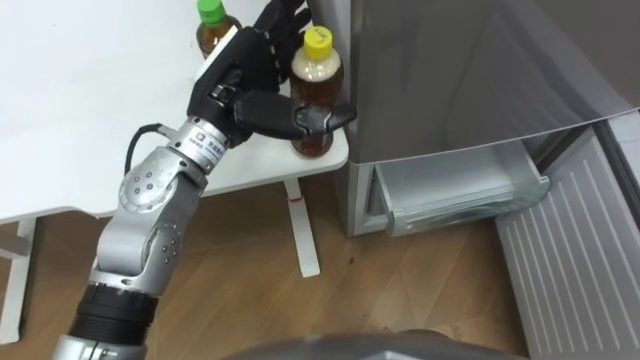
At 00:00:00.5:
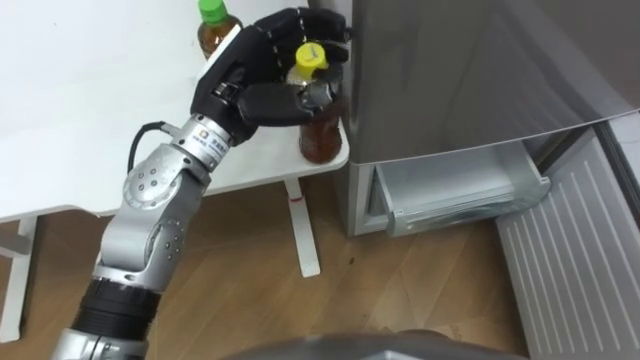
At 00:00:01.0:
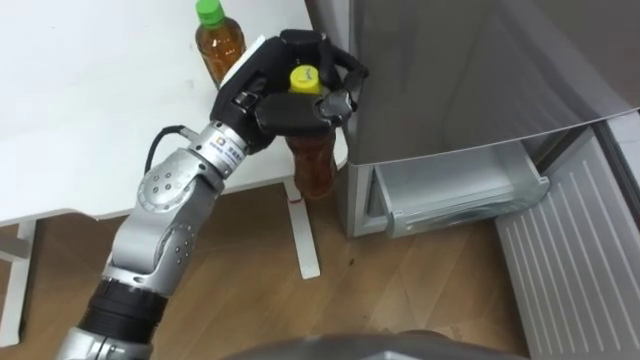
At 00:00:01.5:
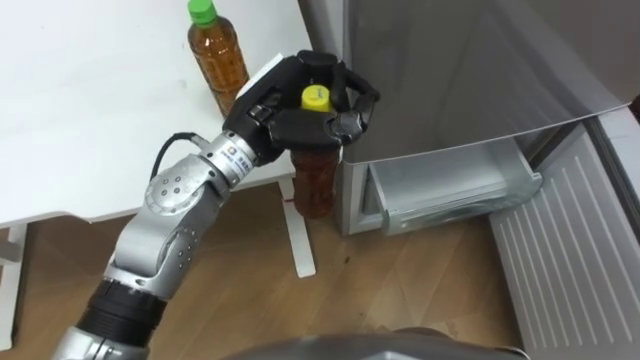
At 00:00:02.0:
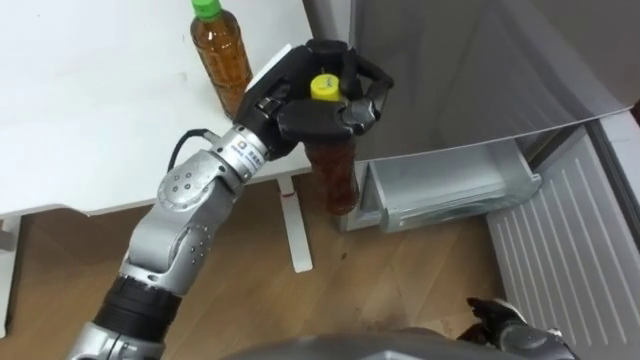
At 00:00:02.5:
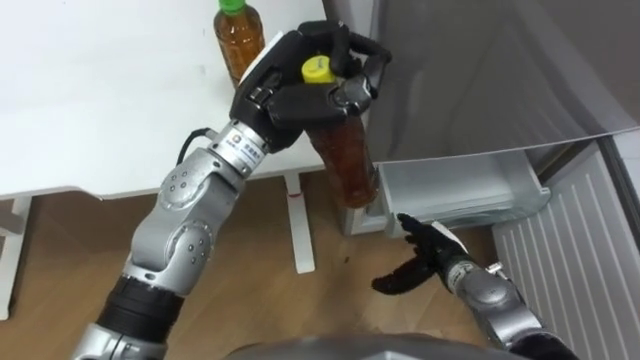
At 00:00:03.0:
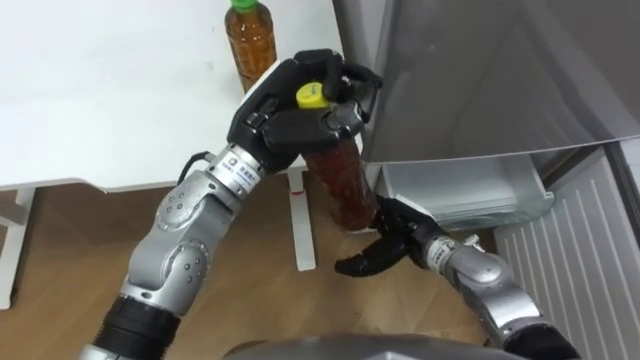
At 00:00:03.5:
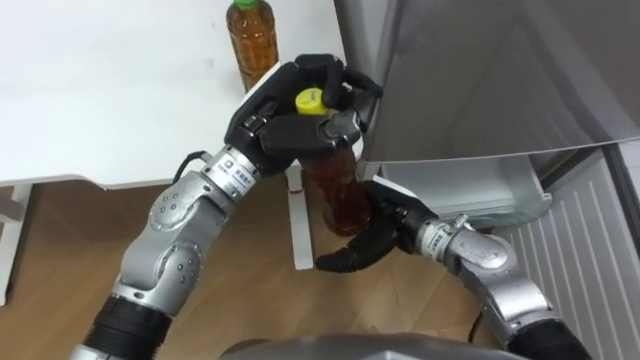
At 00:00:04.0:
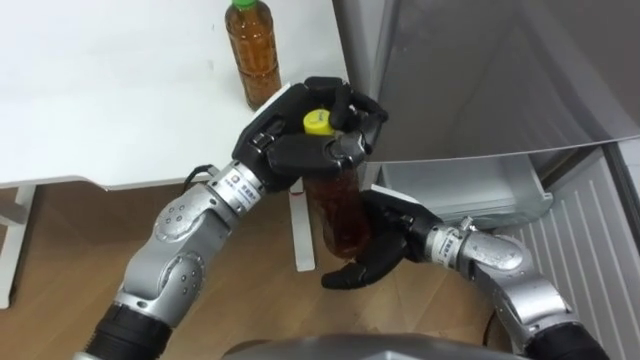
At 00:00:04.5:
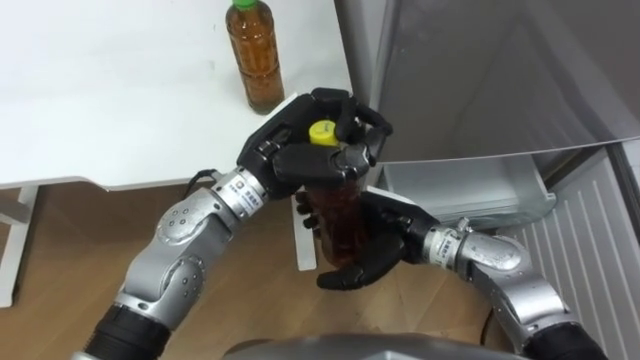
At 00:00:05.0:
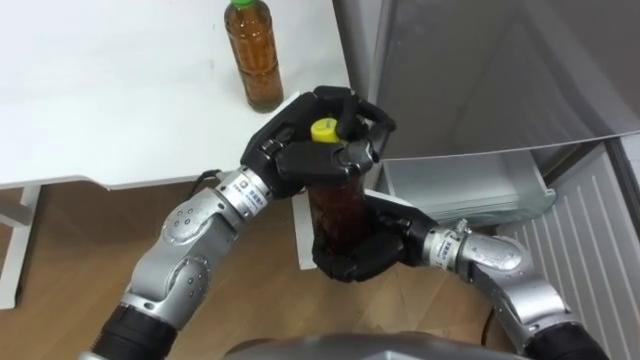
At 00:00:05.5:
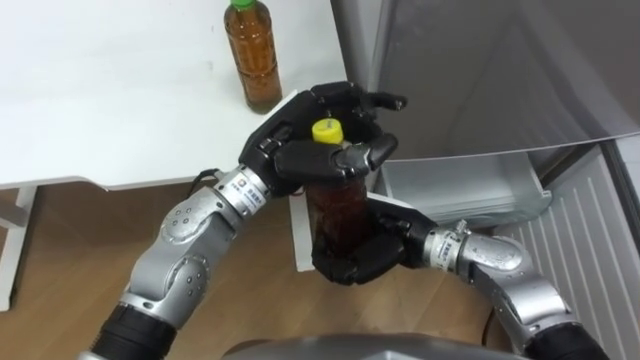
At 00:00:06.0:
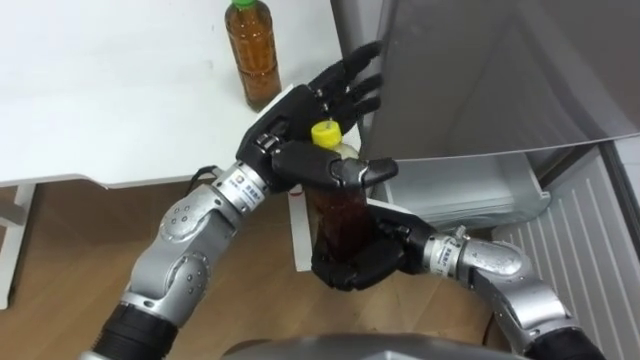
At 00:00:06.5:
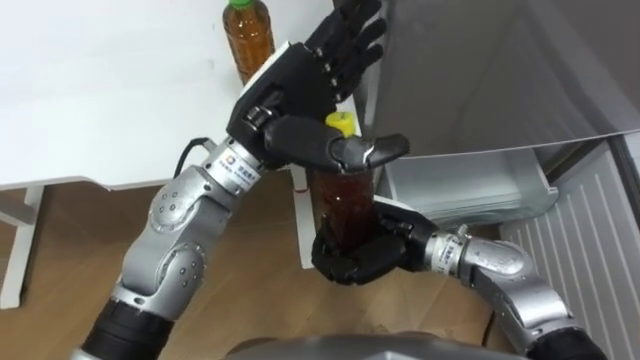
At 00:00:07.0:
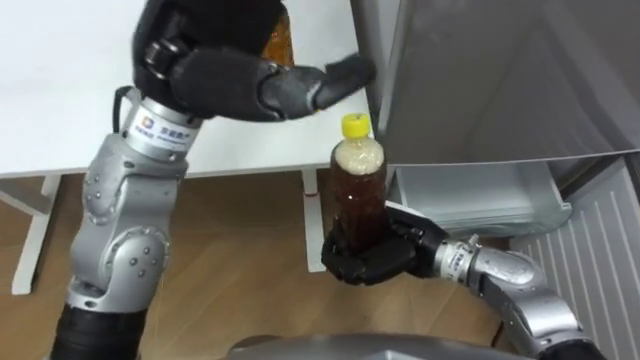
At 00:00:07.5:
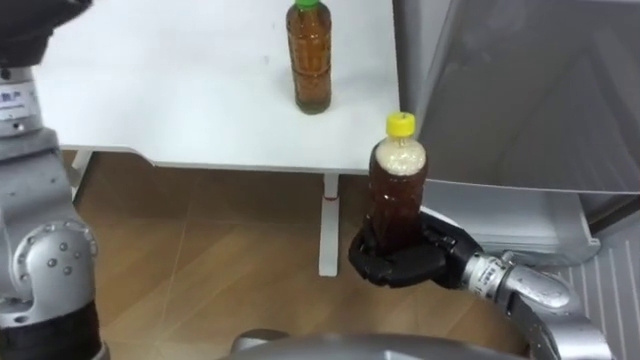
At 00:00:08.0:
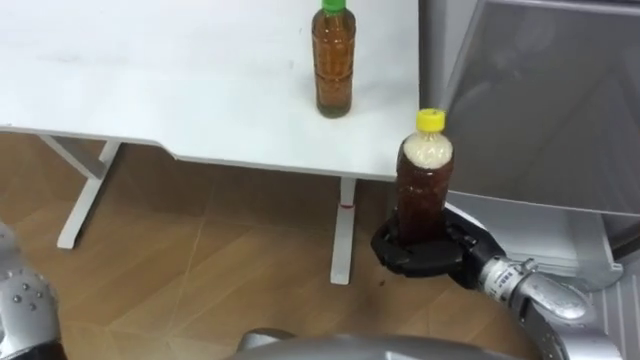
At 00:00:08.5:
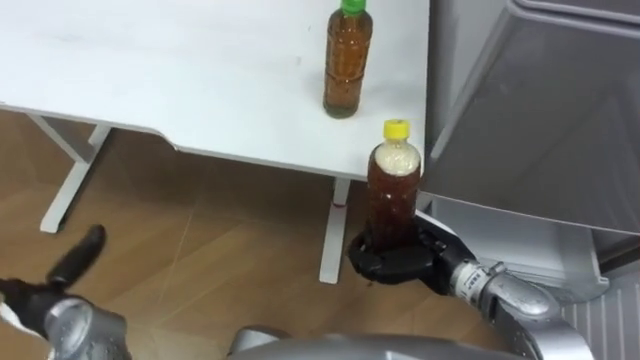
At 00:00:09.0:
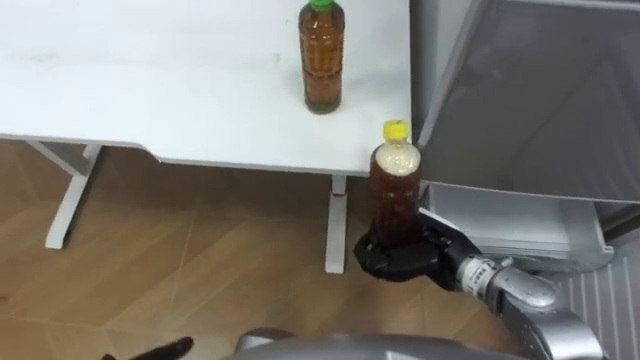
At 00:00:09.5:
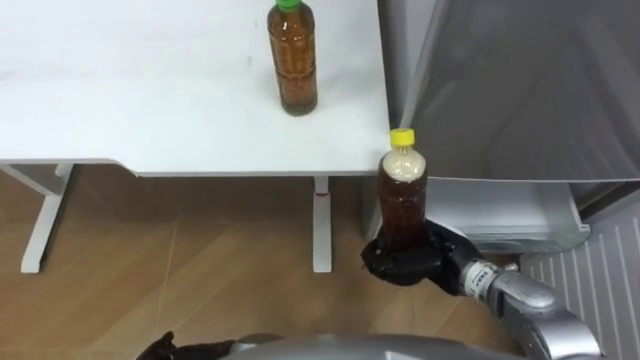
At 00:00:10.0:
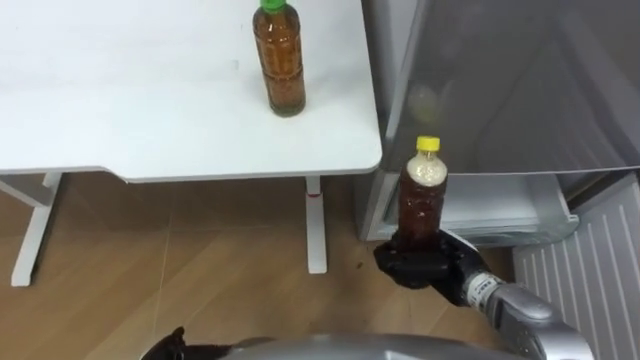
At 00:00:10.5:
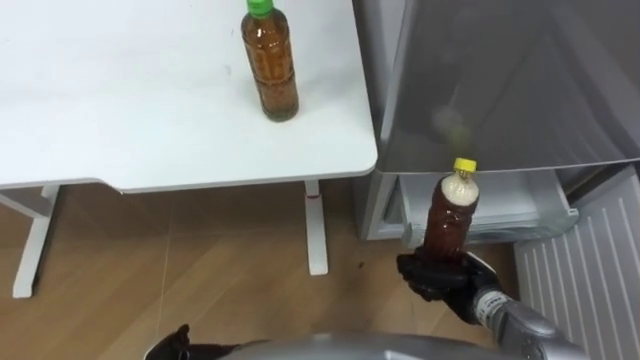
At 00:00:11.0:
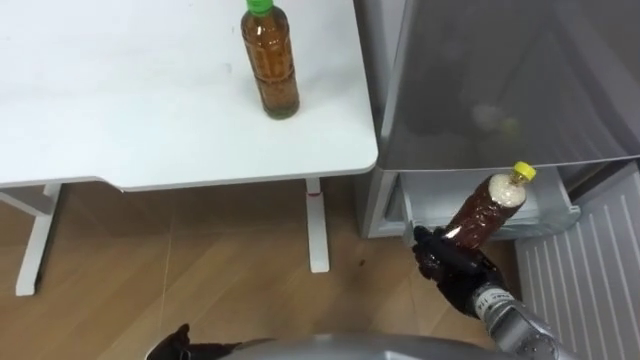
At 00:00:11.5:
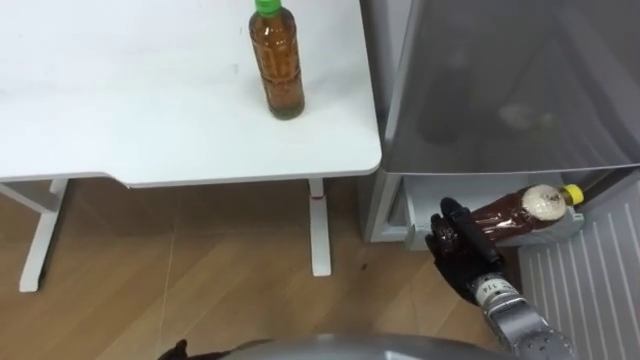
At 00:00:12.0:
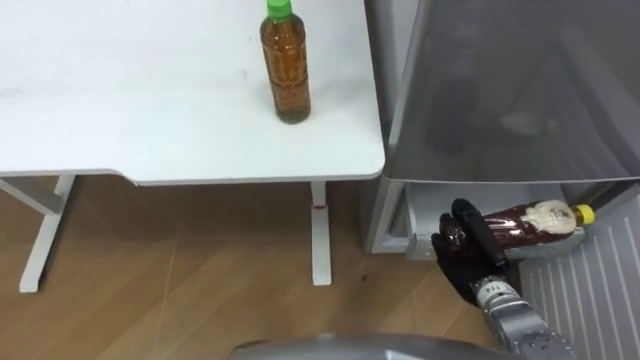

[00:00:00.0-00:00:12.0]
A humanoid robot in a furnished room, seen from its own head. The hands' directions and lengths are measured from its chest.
Task of the whole recording: Place the drink on the table on the bottom shelf of the refrigerator, then close the drawer and the refrigerator door.
00:00:00.0 to 00:00:02.0: The left hand is displaced to the right by some 5 cm, and closes.
00:00:02.0 to 00:00:04.0: The right hand goes about 25 cm to the left, upward and forward.
00:00:04.0 to 00:00:06.0: The right hand closes its fingers, while the left hand opens its fingers.
00:00:06.0 to 00:00:08.0: The right hand moves to the right, about 10 cm.
00:00:08.0 to 00:00:10.0: The right hand moves downward, approximately 5 cm.
00:00:10.0 to 00:00:12.0: The right hand moves to the right, roughly 5 cm.

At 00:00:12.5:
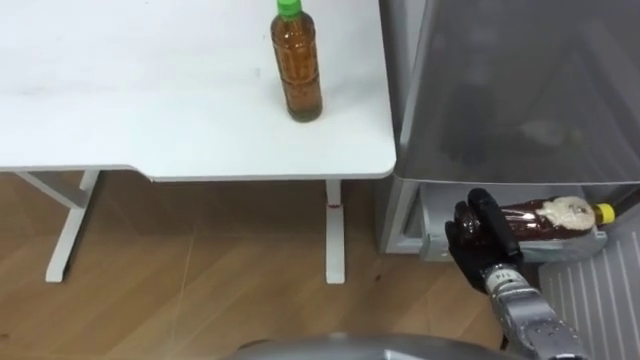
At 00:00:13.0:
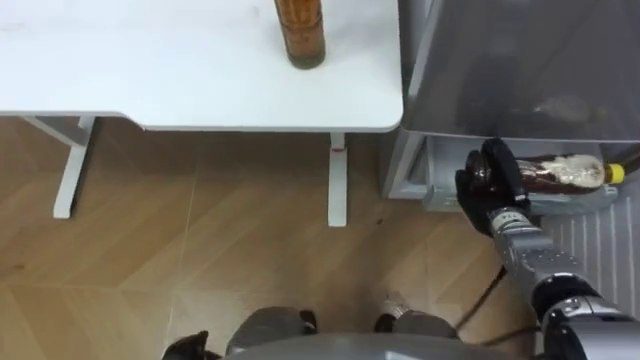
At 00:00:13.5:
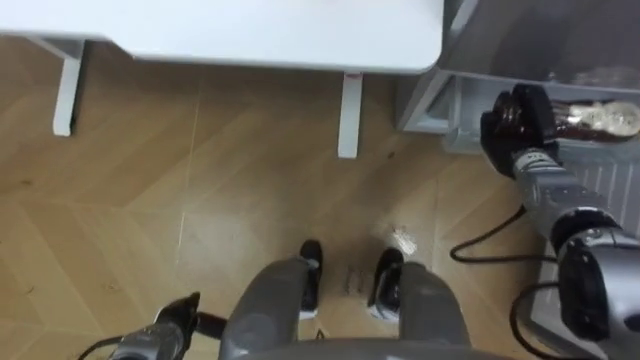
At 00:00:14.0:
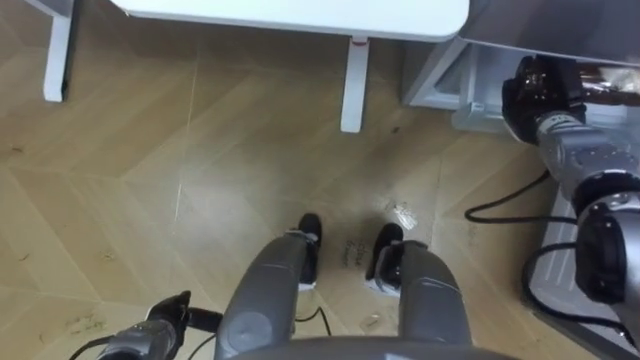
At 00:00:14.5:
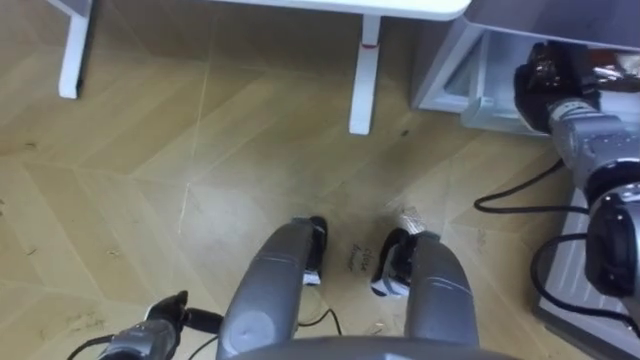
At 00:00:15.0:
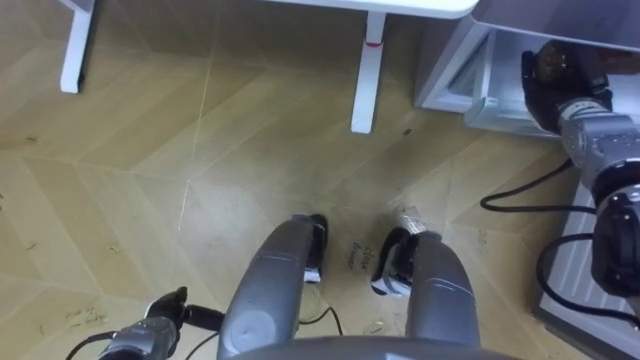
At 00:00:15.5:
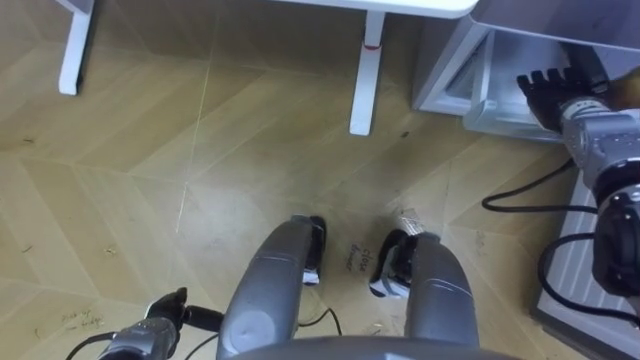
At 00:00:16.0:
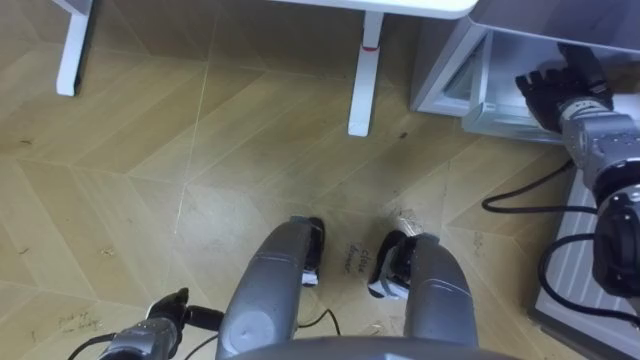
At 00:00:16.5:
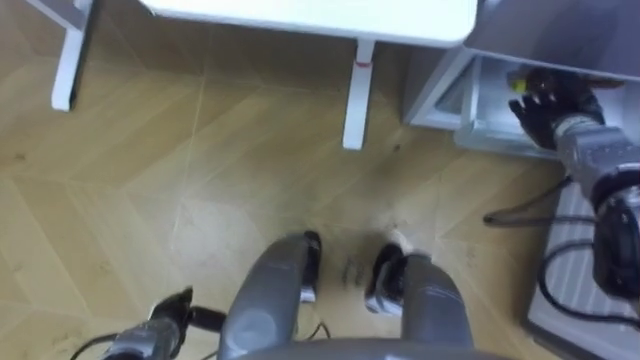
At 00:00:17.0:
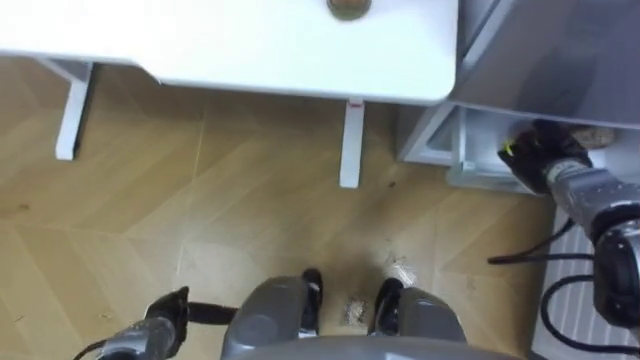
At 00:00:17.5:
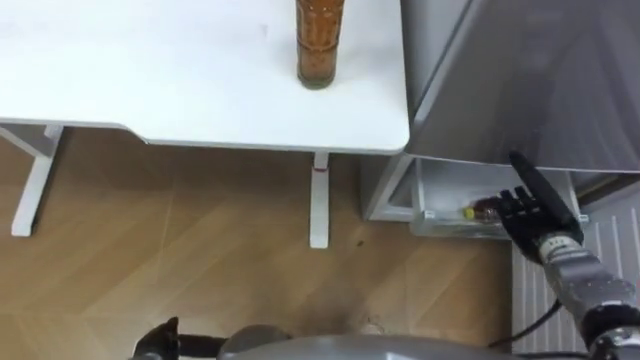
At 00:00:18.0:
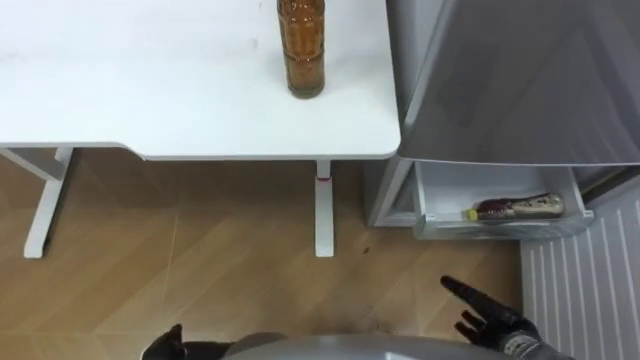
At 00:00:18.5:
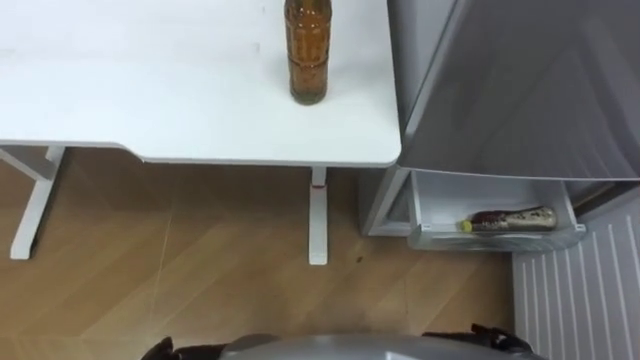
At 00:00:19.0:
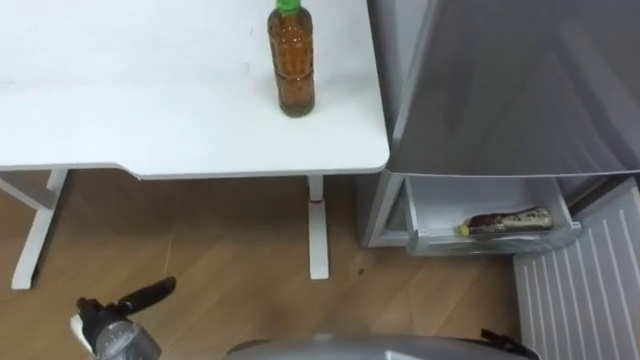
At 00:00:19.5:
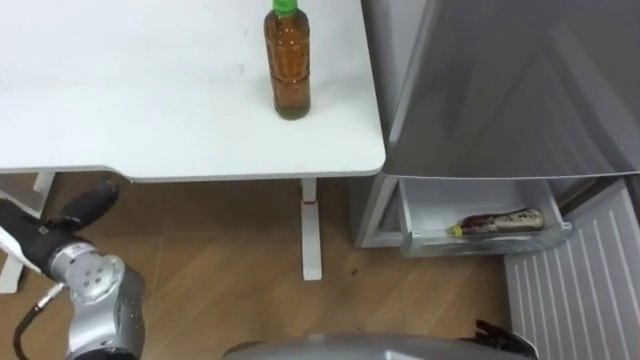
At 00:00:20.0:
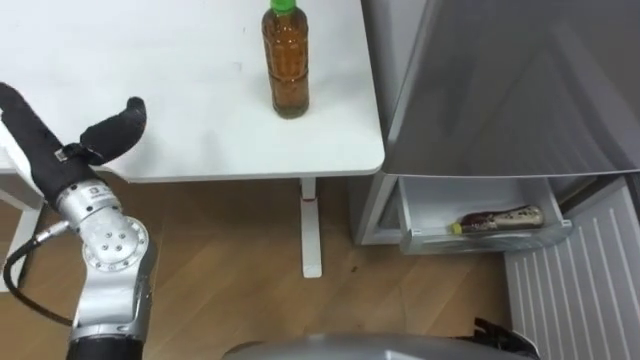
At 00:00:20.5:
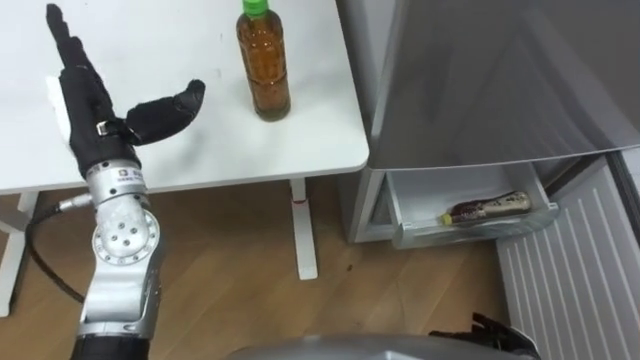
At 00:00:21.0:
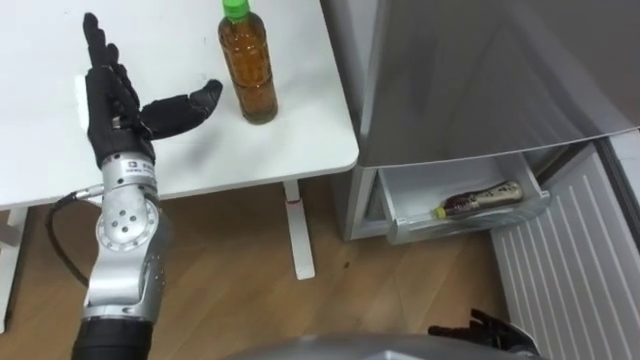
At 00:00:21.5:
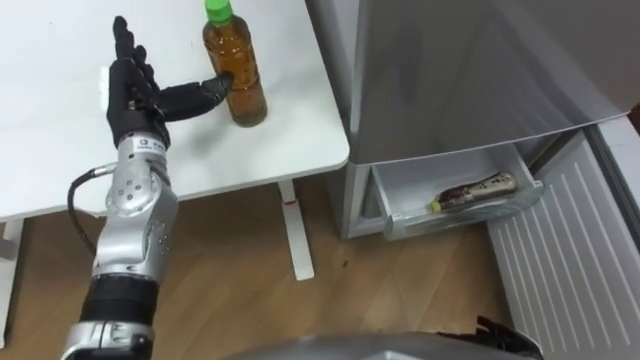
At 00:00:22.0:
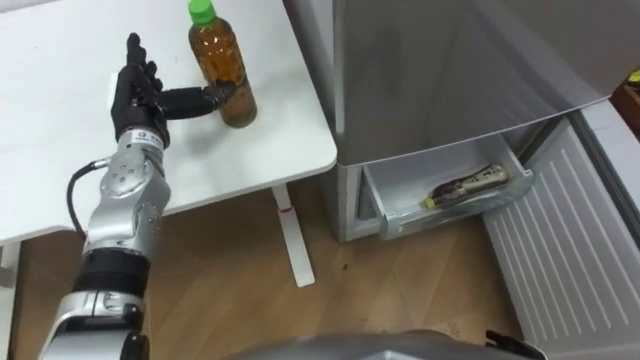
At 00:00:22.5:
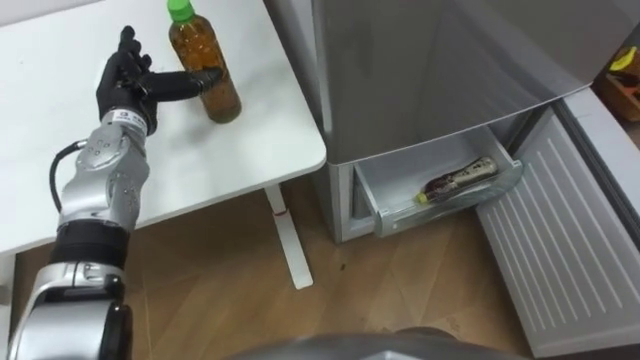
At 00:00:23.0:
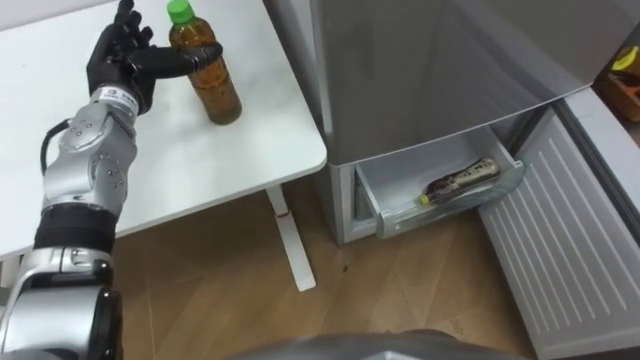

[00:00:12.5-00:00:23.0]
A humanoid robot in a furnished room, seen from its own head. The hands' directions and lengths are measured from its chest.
Task of the whole recording: Place the drink on the table on the bottom shelf of the refrigerator, then close the drawer and the refrigerator door.
00:00:12.5 to 00:00:14.5: The right hand is displaced forward and upward by roughly 25 cm.
00:00:14.5 to 00:00:16.5: The right hand opens up.
00:00:19.0 to 00:00:21.0: The left hand goes roughly 30 cm upward and forward.
00:00:21.0 to 00:00:23.0: The left hand goes approximately 10 cm forward.
